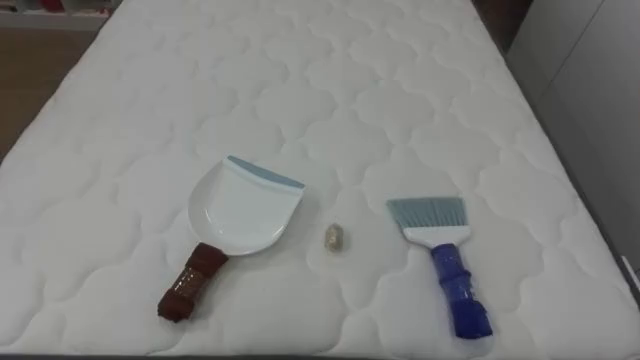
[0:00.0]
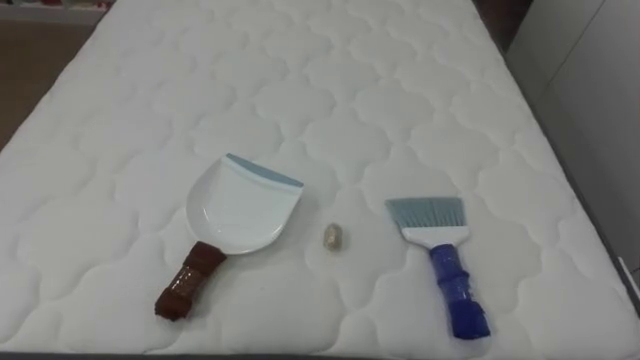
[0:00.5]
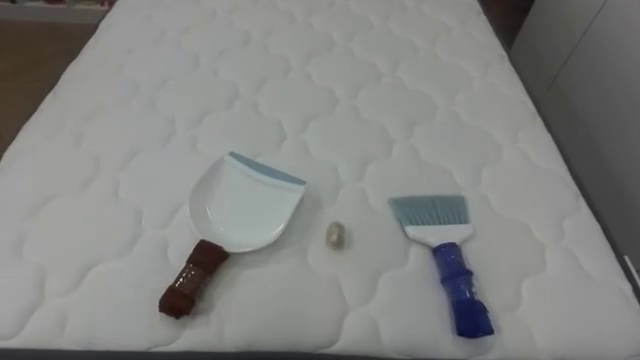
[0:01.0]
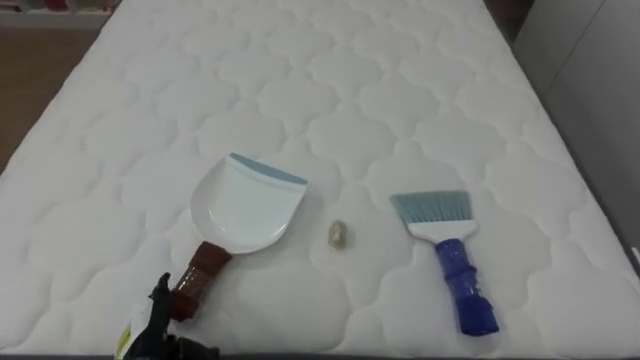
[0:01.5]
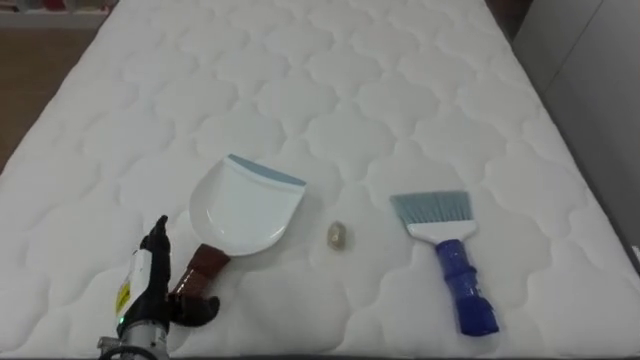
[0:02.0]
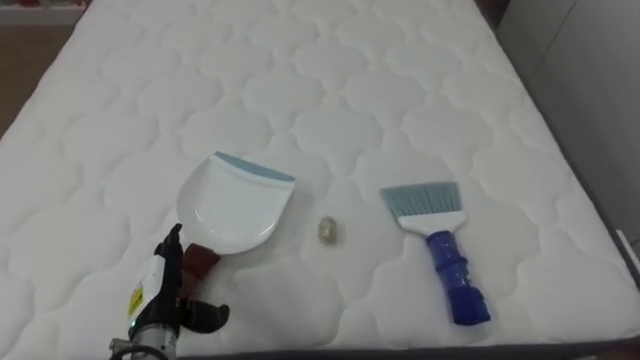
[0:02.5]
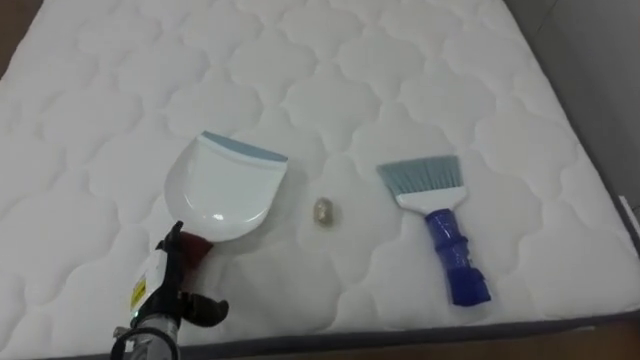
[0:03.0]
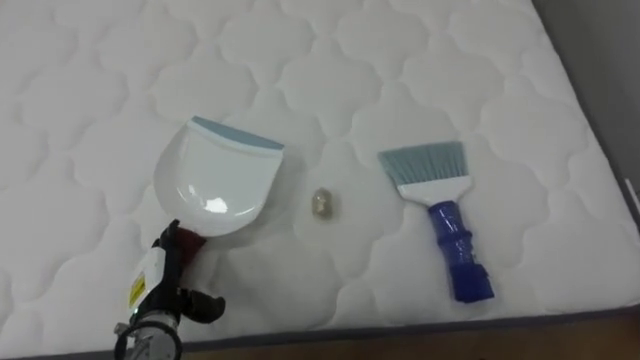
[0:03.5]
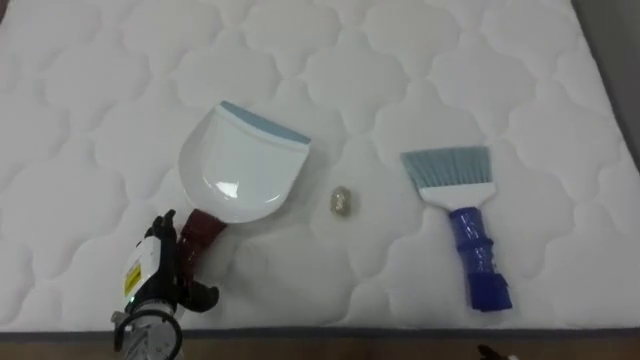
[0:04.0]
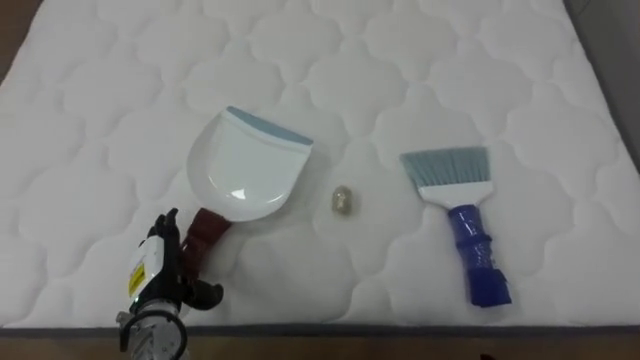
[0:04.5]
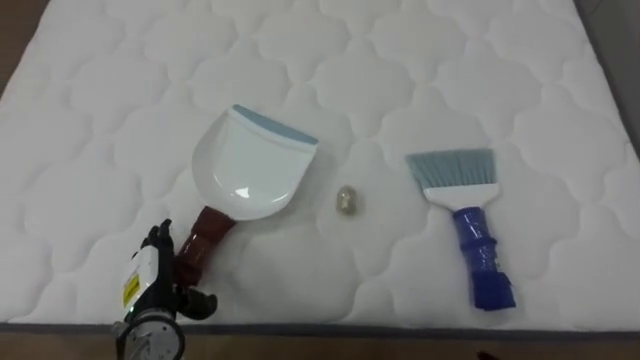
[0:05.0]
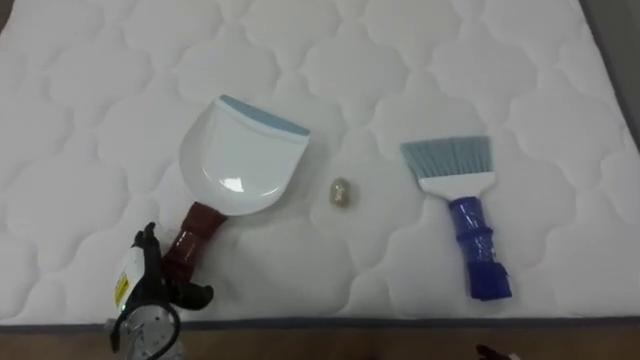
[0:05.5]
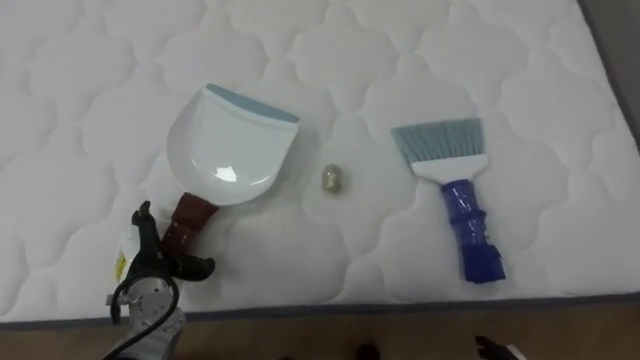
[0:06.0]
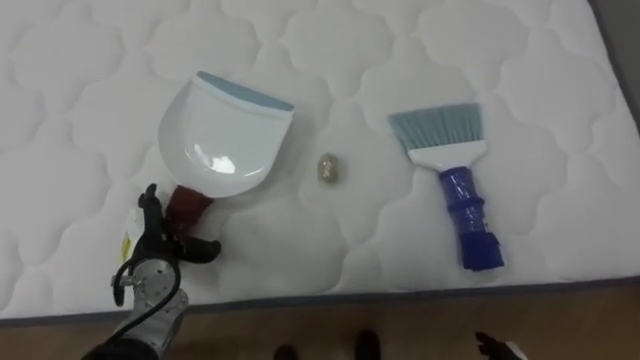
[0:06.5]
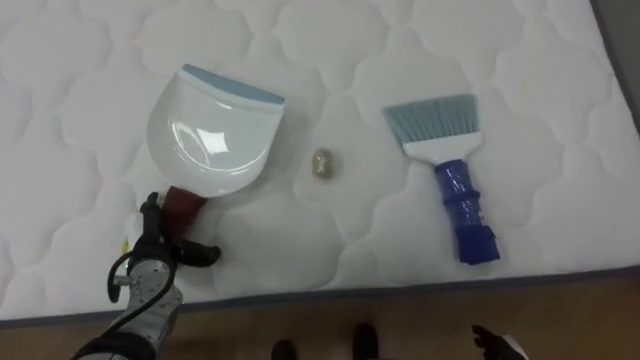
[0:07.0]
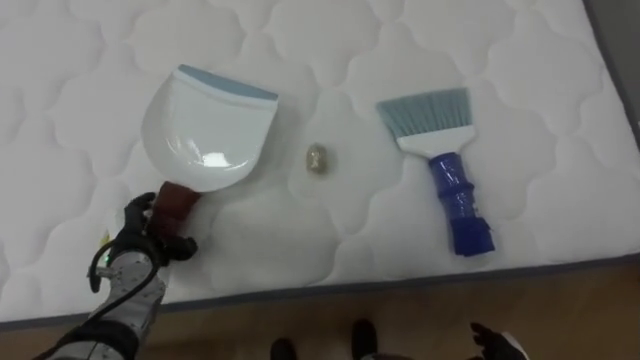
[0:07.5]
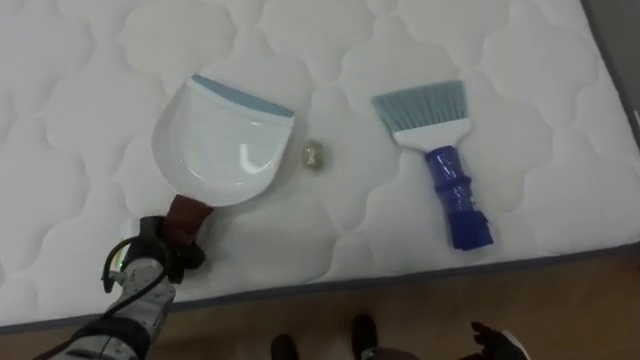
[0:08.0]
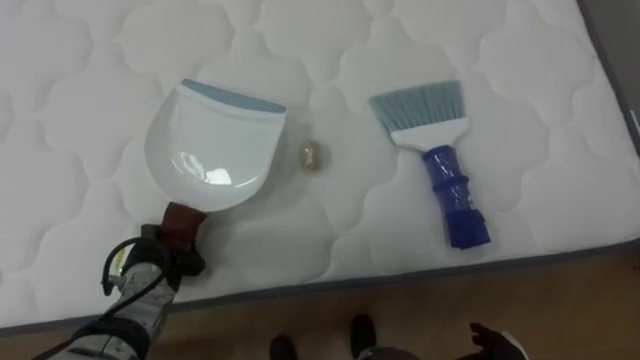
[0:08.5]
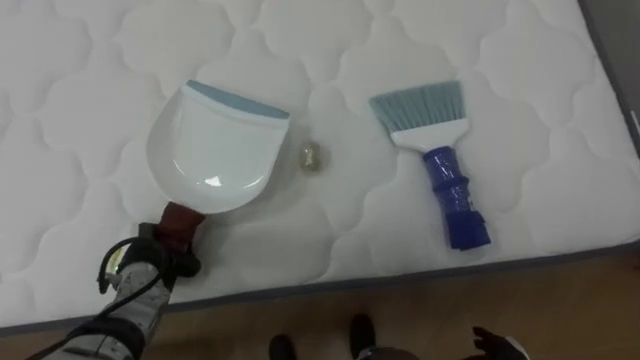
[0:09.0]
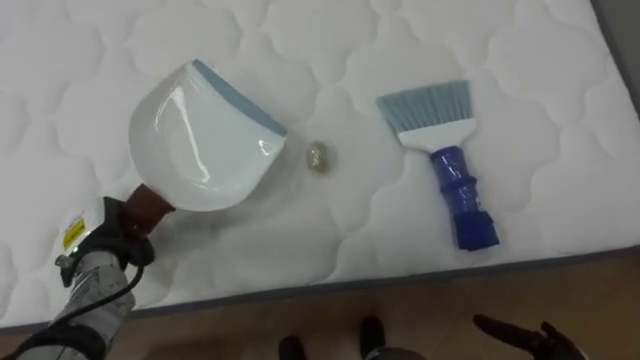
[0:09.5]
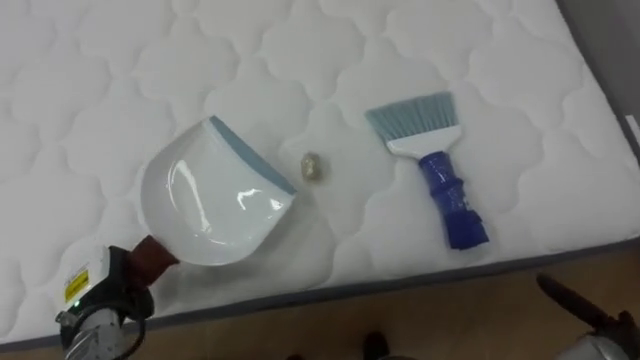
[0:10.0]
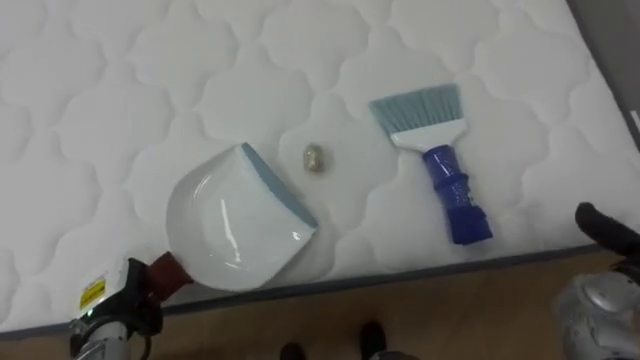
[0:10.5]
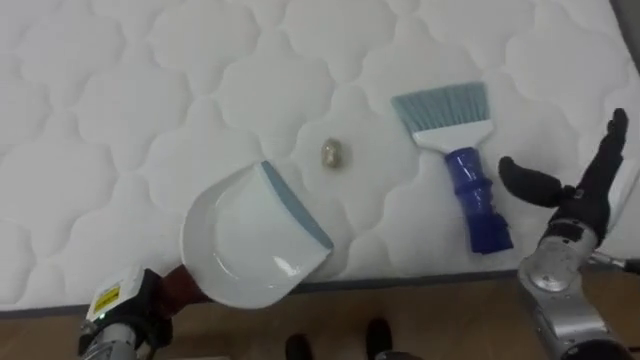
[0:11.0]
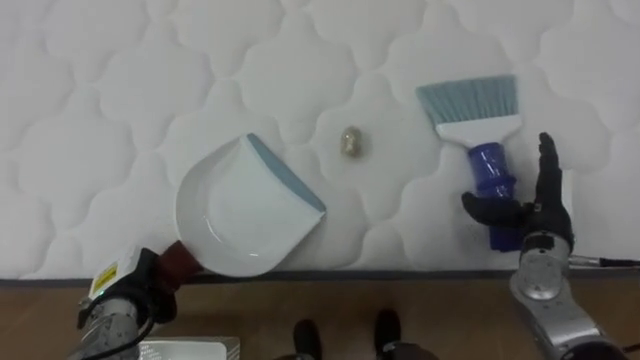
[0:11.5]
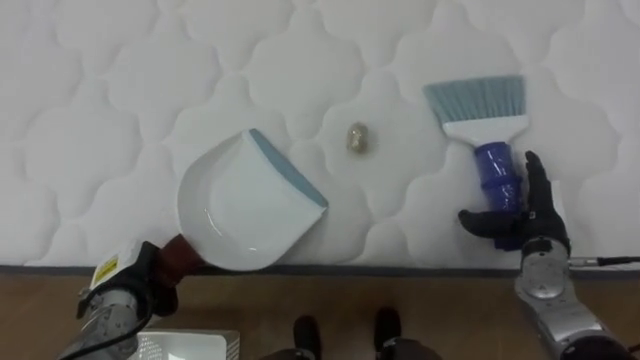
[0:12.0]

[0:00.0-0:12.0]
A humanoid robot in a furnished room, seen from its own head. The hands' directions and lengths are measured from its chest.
Task of the whole recording: Pick up the brush on your right and the dustpan on your left. Use the brush to sweep the crumpled paper on the bed into the dustpan, then turn left and empty it into the basket.
0:06.0 to 0:08.0: The left hand closes up.
0:08.0 to 0:10.0: The left hand moves backward, some 5 cm.
0:10.0 to 0:12.0: The right hand shifts approximately 20 cm forward, upward and to the left.

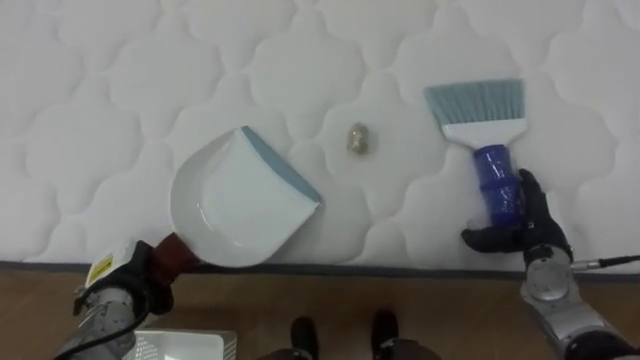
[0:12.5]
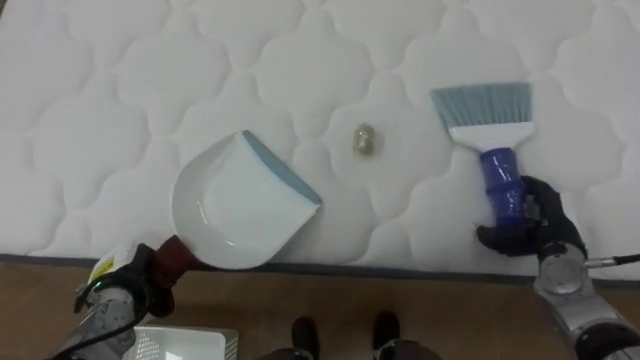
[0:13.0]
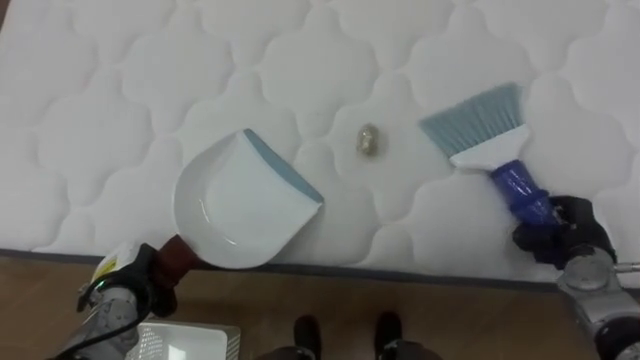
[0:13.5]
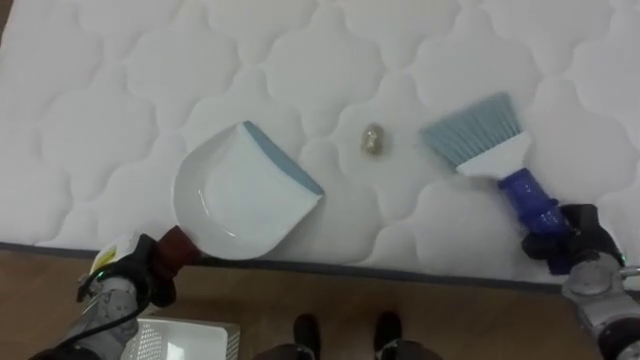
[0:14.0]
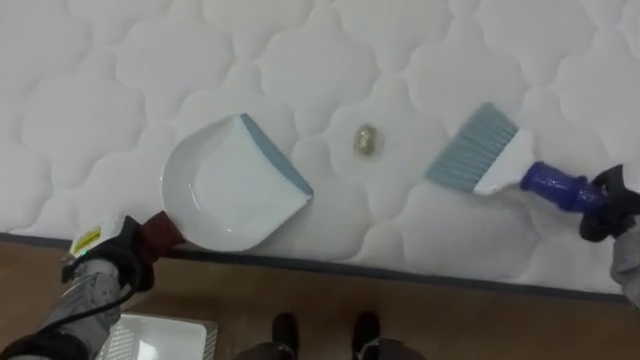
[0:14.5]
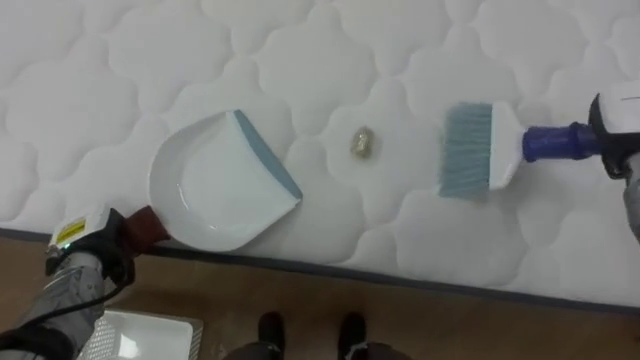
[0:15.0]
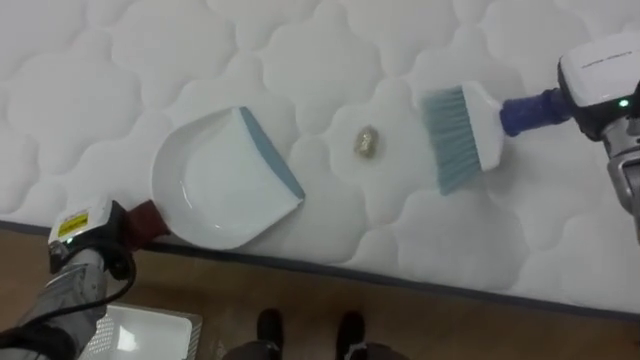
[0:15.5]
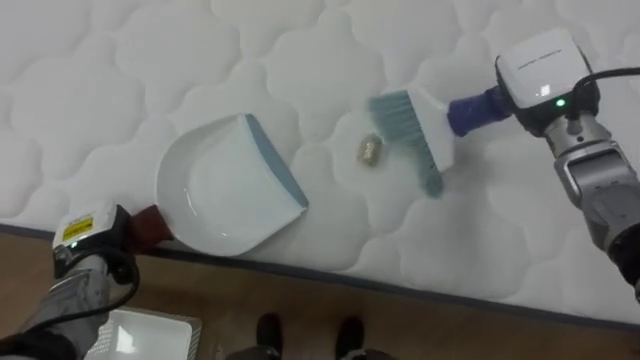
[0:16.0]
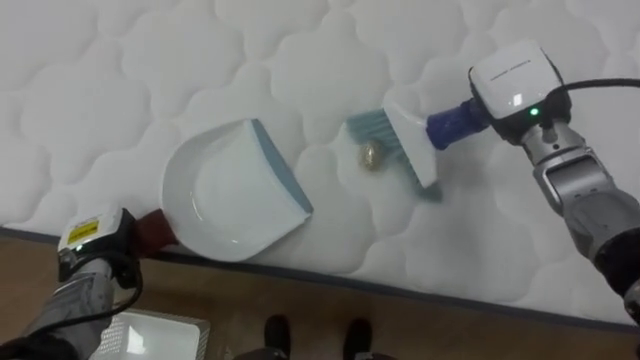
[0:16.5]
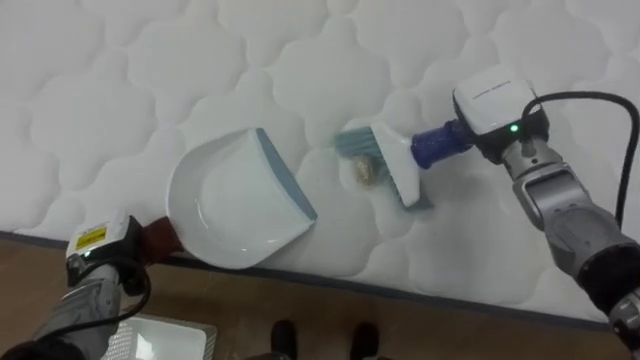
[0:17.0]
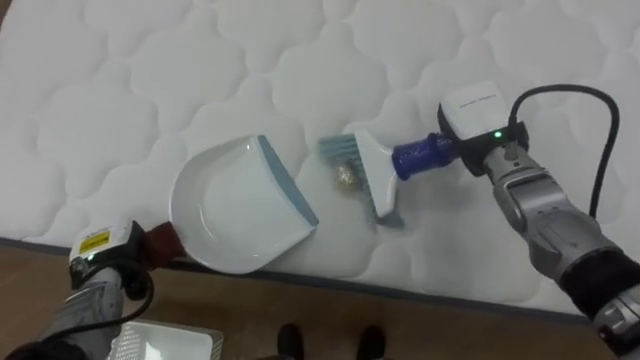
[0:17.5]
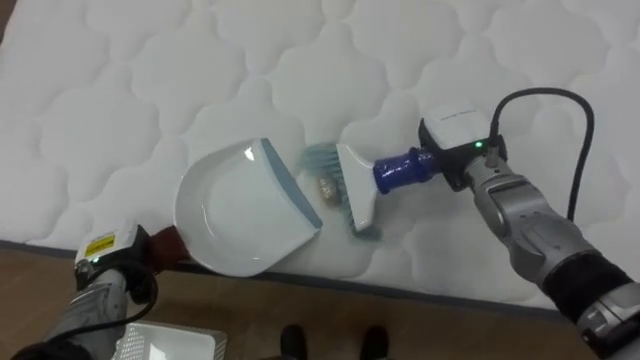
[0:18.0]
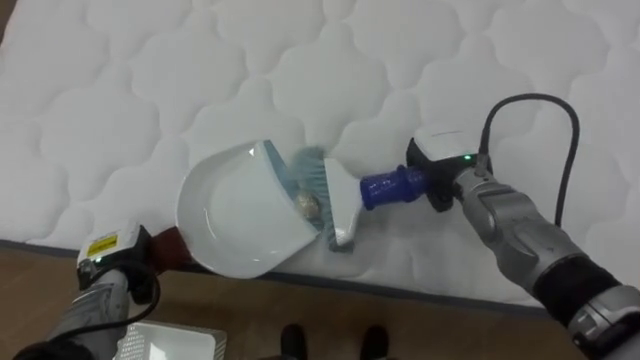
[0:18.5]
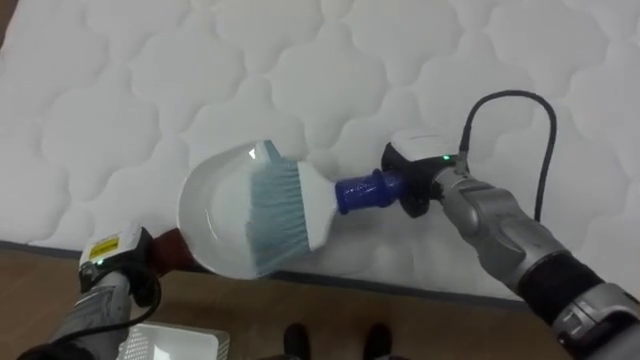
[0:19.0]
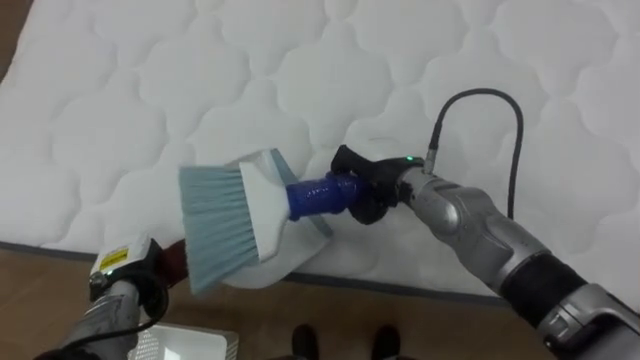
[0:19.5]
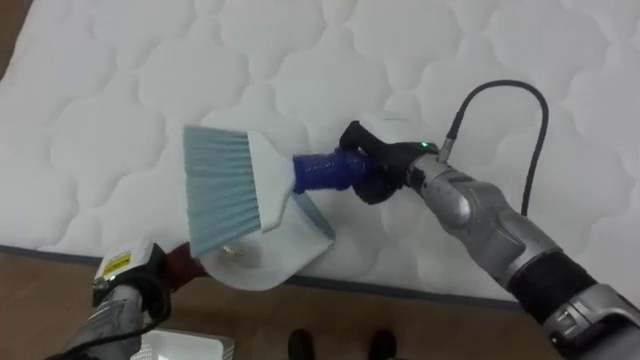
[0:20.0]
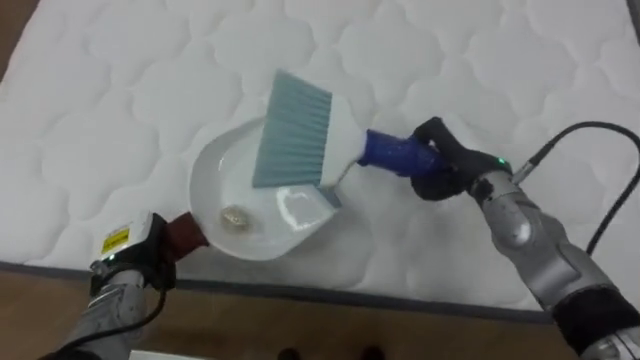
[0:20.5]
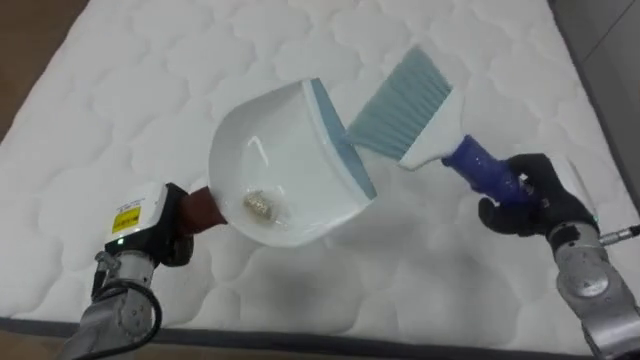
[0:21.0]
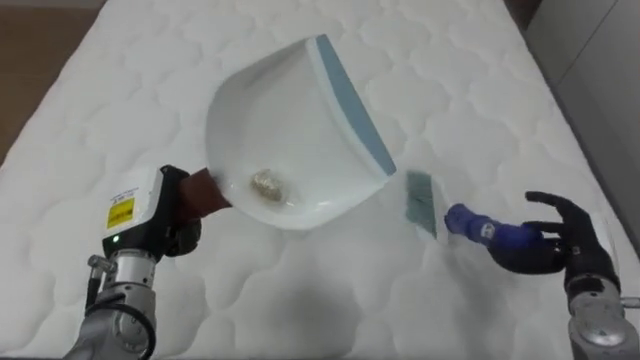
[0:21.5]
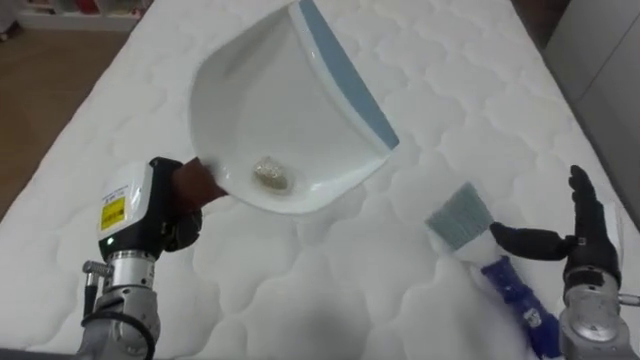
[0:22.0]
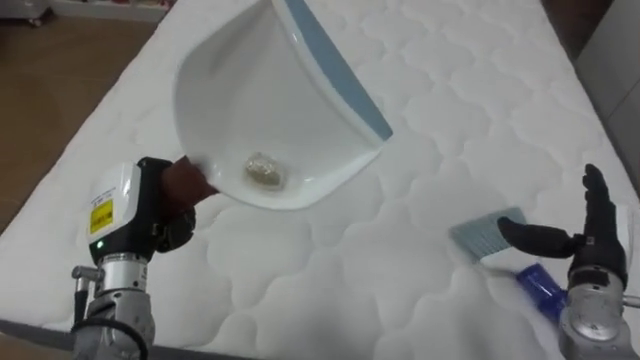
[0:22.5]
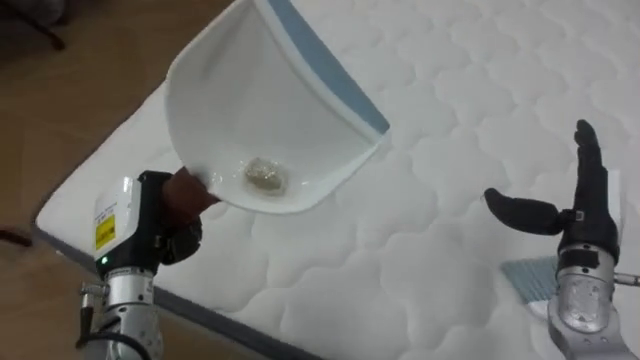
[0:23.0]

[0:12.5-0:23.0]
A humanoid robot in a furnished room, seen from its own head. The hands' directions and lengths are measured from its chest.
Task of the whole recording: Pick up the brush on your right and the dustpan on your left. Use the brush to sweep the crumpled paper on the bed into the dustpan, then turn left and empty it into the basket.
0:12.5 to 0:14.5: The right hand goes roughly 10 cm to the right, and closes.
0:14.5 to 0:16.5: The right hand travels to the left, upward and forward by approximately 20 cm.
0:16.5 to 0:19.0: The right hand moves to the left and downward, approximately 15 cm.
0:19.0 to 0:21.0: The left hand is displaced upward by approximately 5 cm, while the right hand goes some 15 cm to the right.
0:21.0 to 0:23.0: The robot rotates some 15 degrees to its left. The right hand opens up. Meanwhile the left hand moves upward, about 5 cm.
